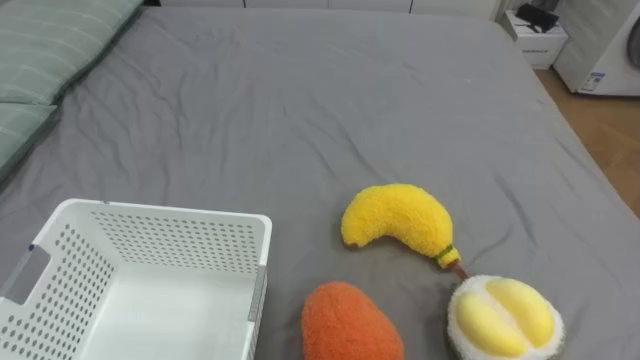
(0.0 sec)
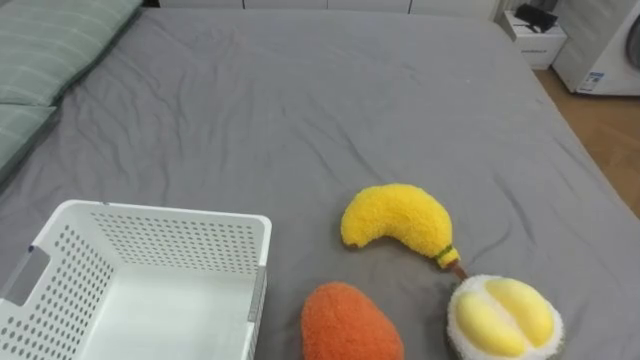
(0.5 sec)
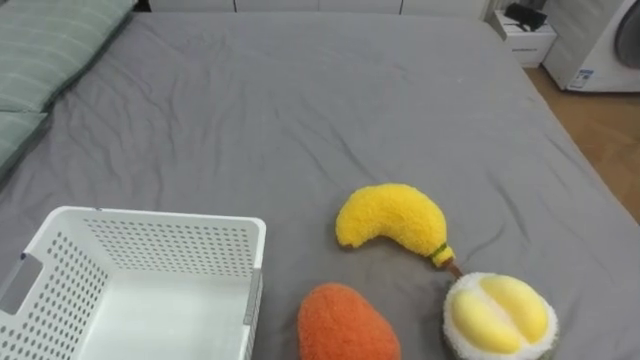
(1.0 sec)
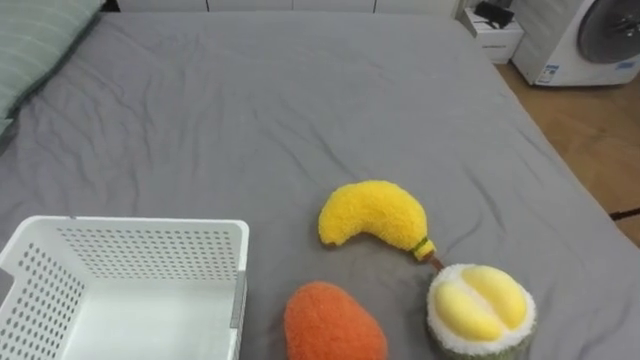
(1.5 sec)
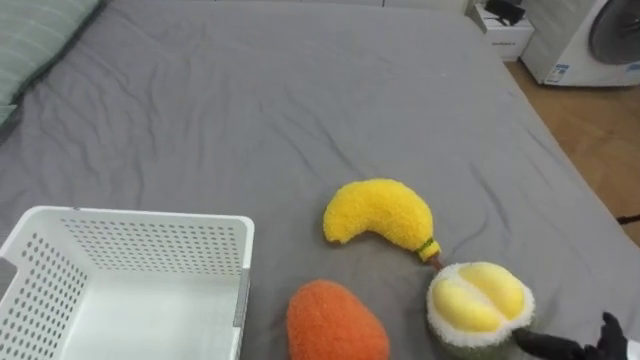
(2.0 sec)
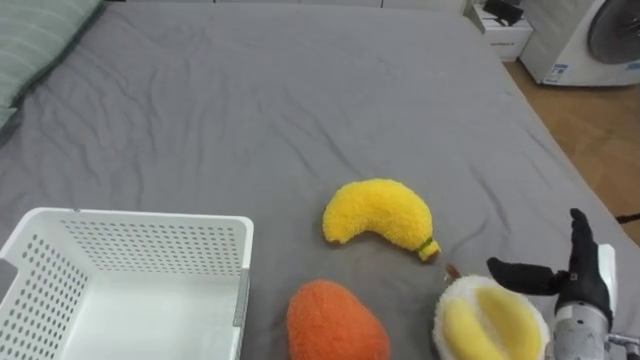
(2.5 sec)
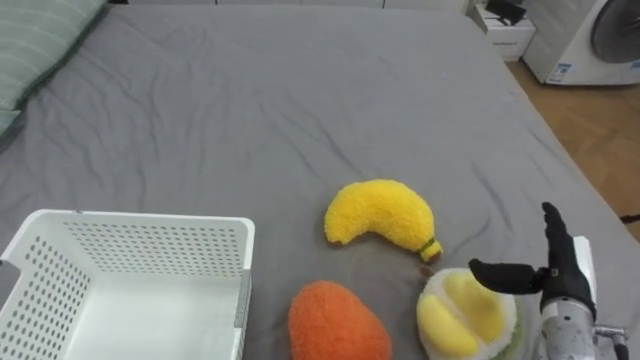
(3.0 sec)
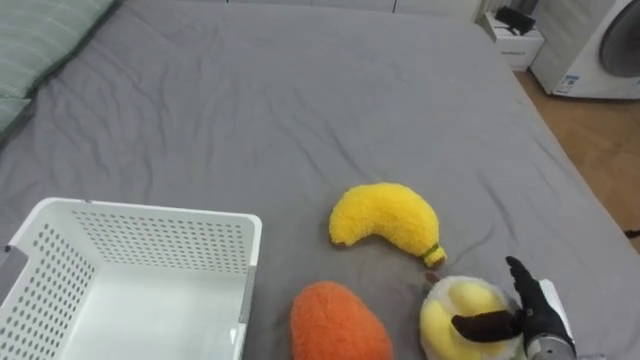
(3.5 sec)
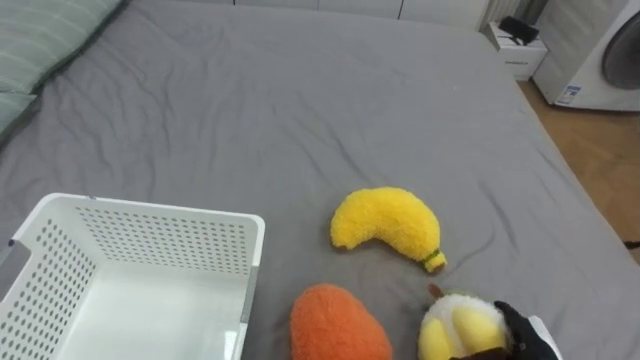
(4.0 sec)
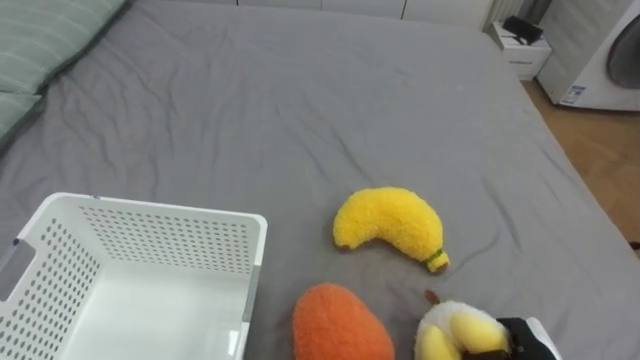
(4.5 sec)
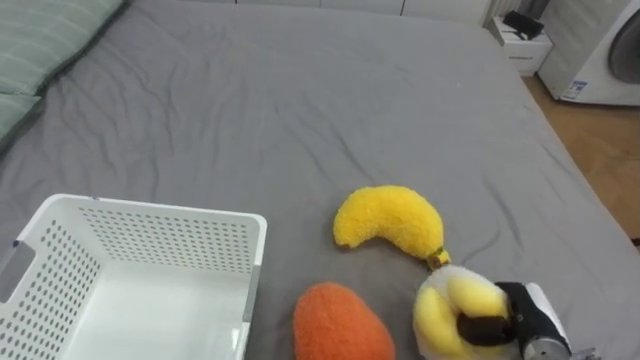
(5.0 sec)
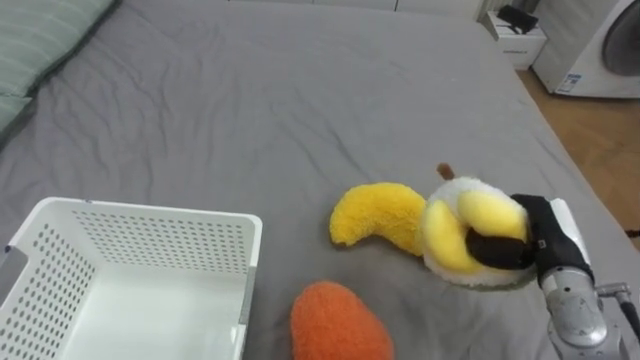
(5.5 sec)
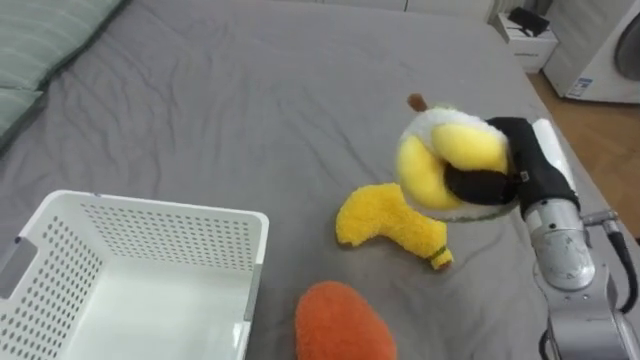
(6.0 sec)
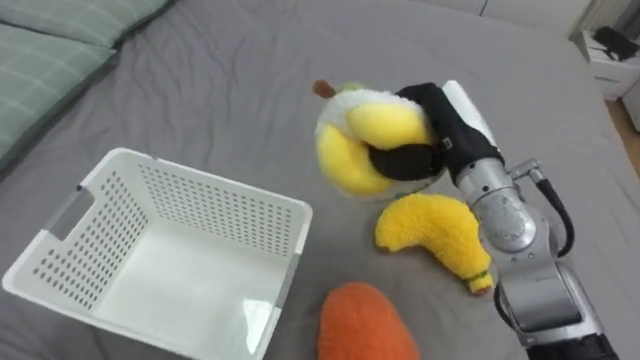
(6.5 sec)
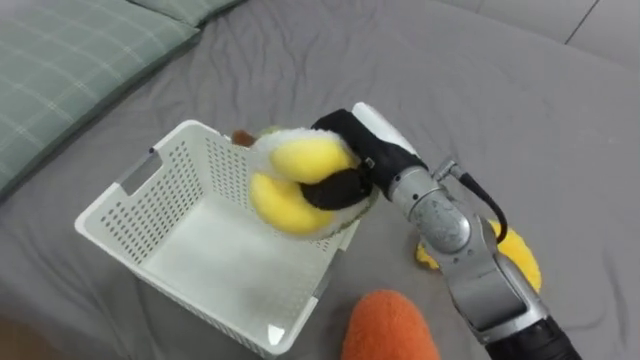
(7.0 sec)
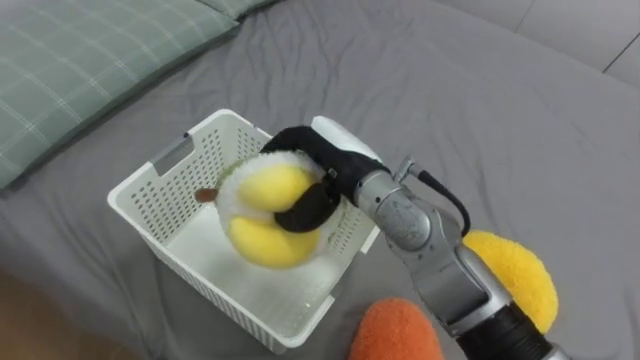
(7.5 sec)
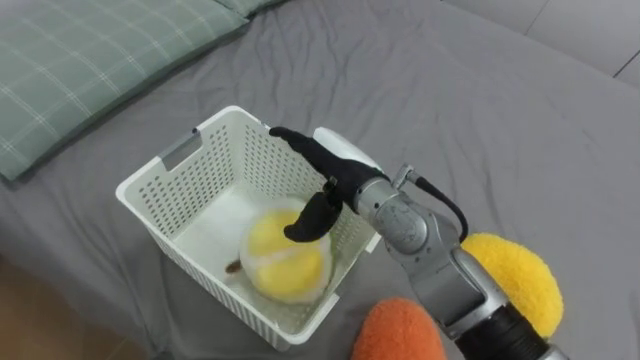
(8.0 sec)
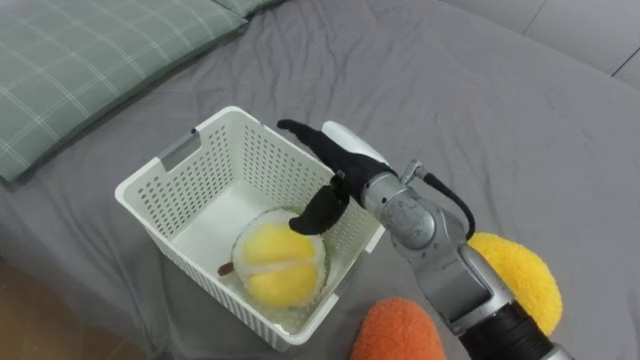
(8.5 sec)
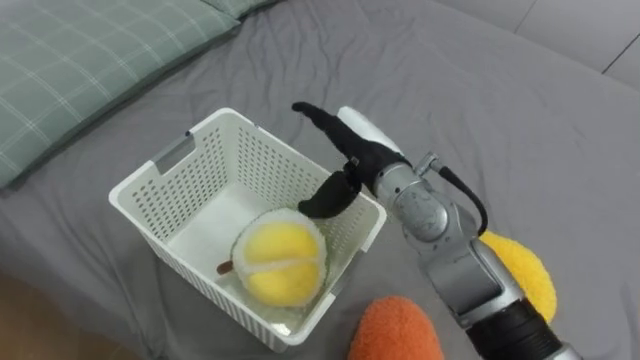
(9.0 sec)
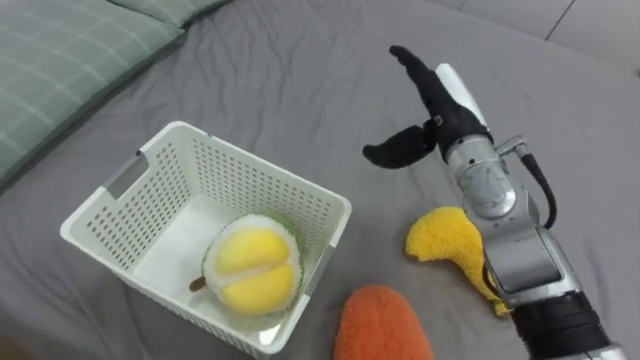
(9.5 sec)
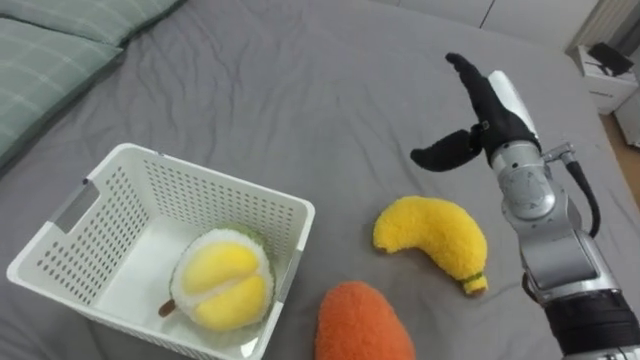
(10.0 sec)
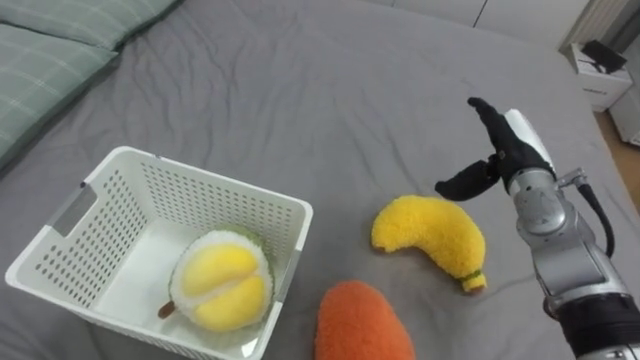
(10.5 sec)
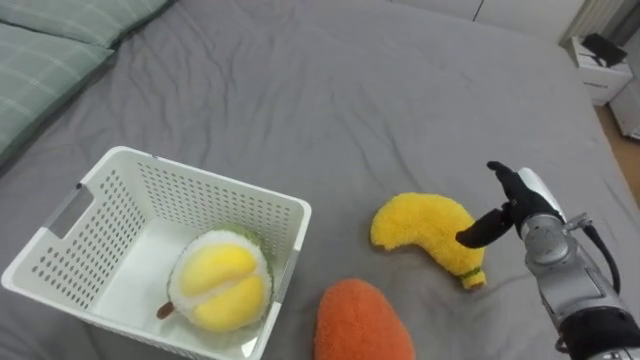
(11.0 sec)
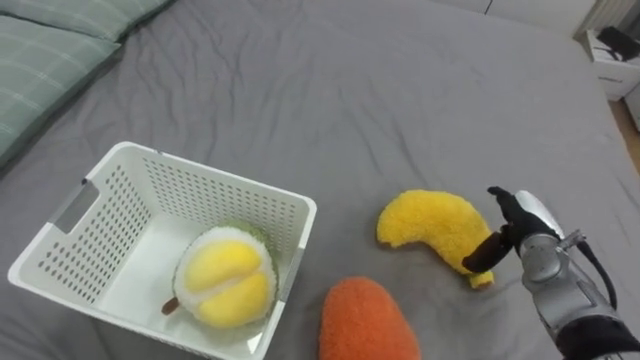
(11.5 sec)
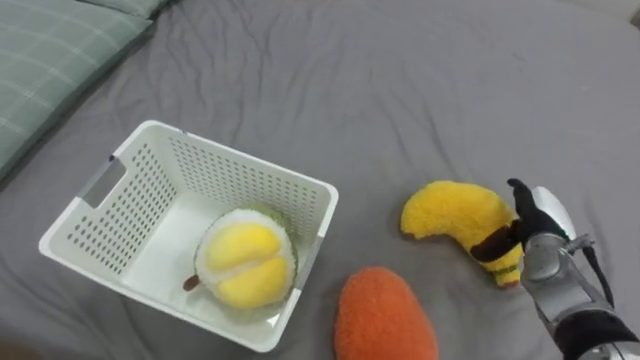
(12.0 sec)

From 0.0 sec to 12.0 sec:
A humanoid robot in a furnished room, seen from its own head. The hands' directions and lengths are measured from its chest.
Task of the whole recording: Put the toys on the bed into the basket on the left.
From 4.0 sec to 6.0 sec: The right hand shifts roughly 25 cm upward and forward, and closes up.
From 6.0 sec to 8.0 sec: The right hand shifts approximately 25 cm to the left, and opens its fingers.
From 8.0 sec to 10.0 sec: The right hand moves to the right, about 20 cm.
From 10.0 sec to 12.0 sec: The right hand moves downward and to the right, roughly 20 cm.

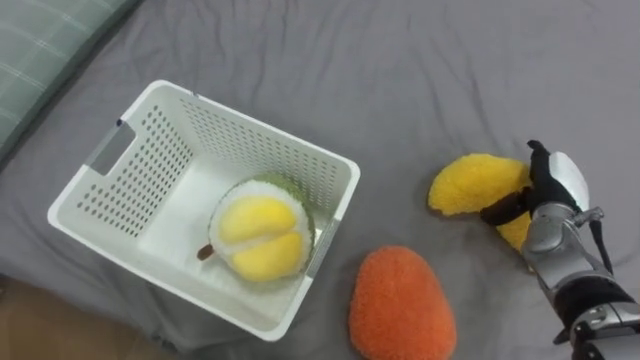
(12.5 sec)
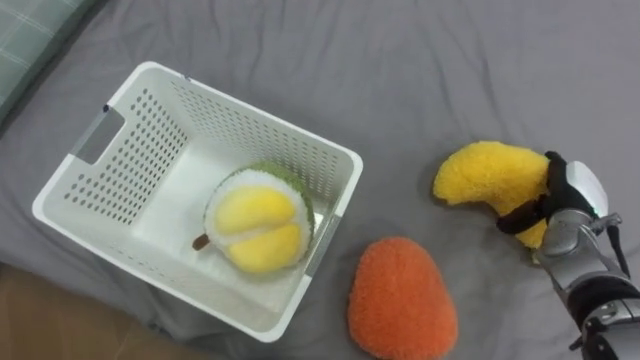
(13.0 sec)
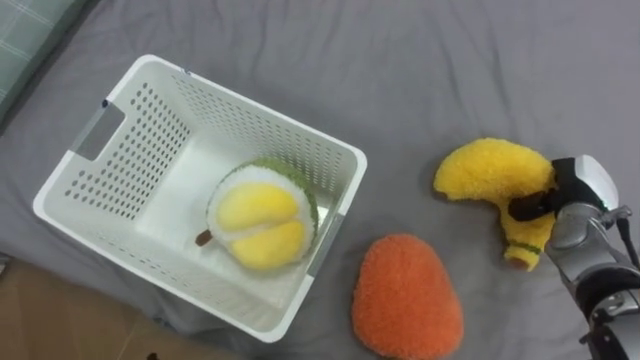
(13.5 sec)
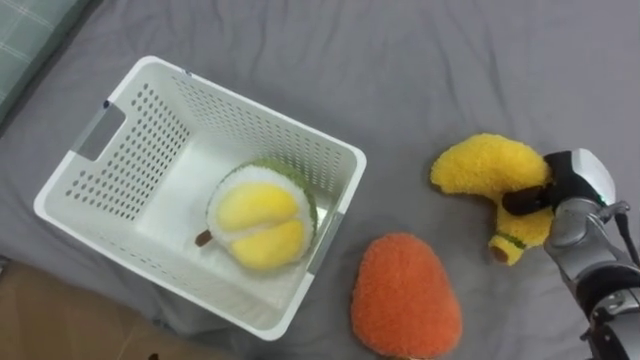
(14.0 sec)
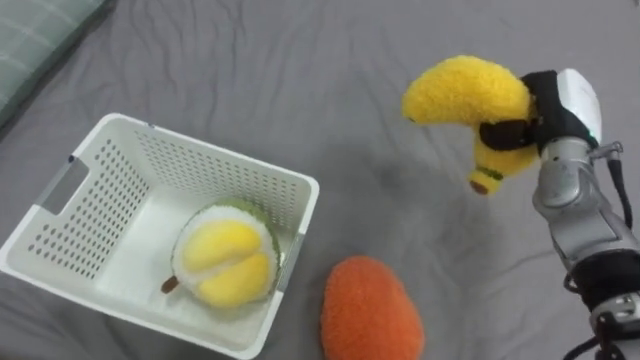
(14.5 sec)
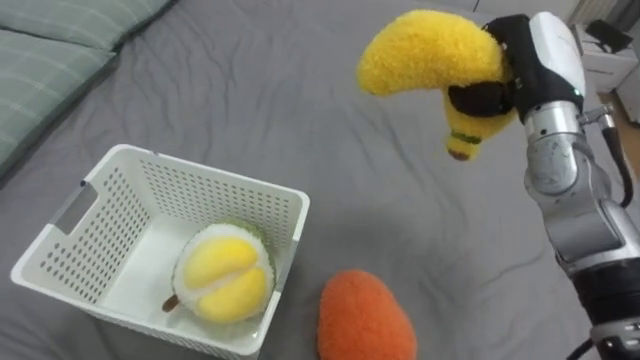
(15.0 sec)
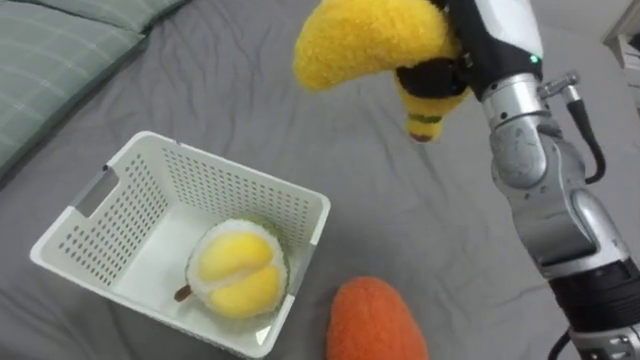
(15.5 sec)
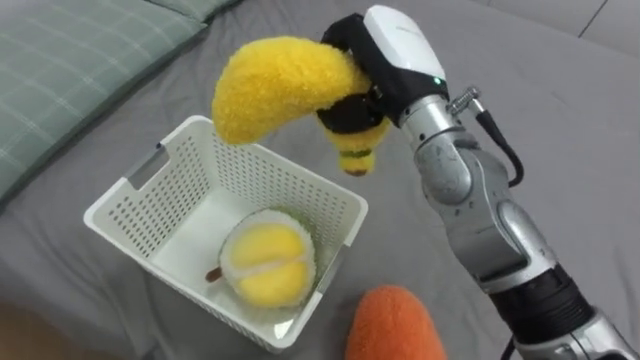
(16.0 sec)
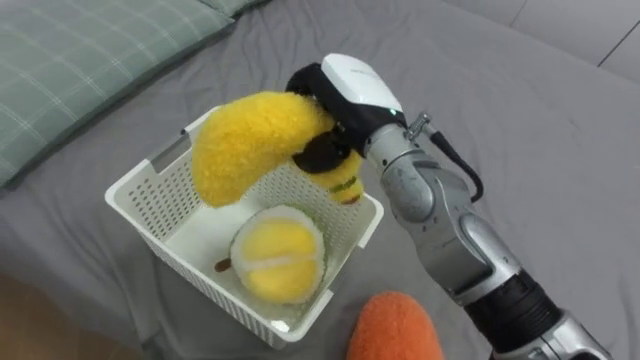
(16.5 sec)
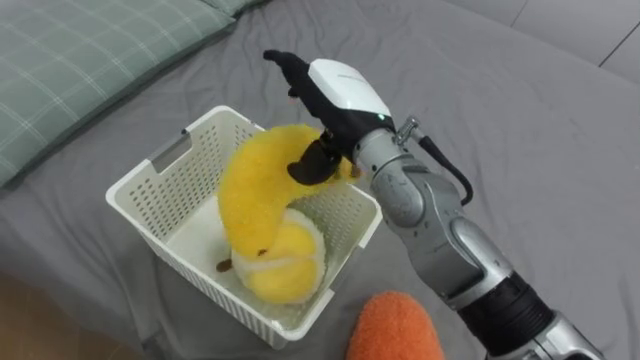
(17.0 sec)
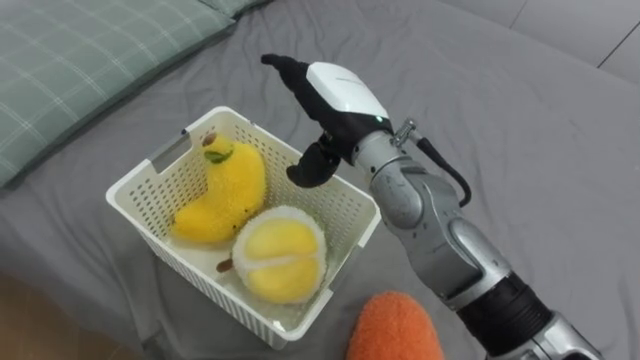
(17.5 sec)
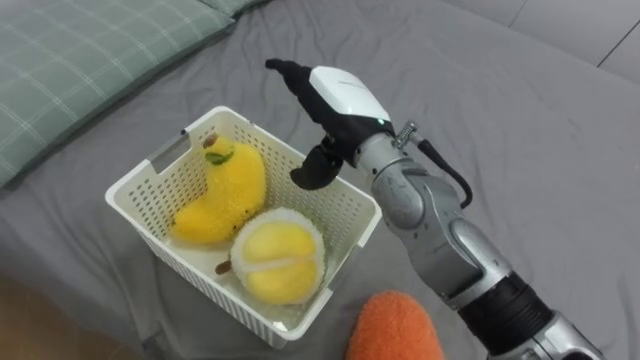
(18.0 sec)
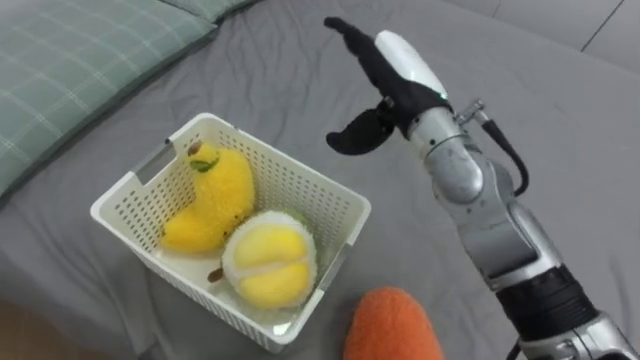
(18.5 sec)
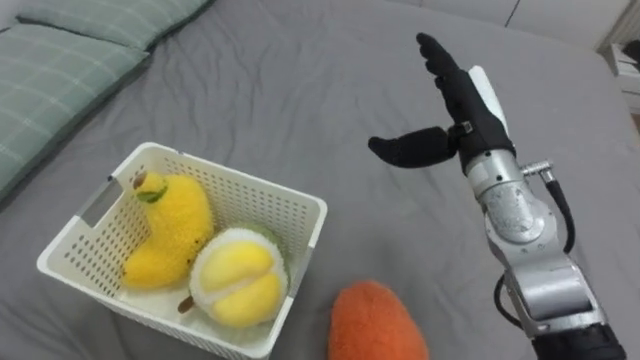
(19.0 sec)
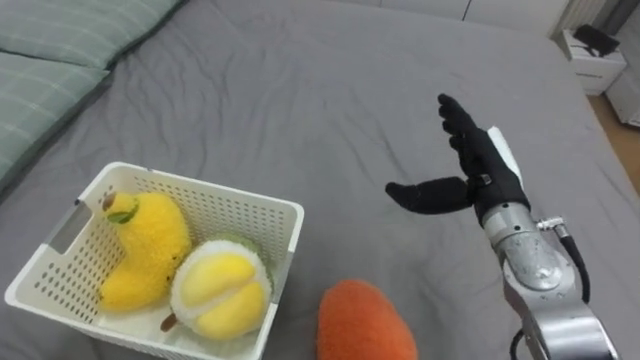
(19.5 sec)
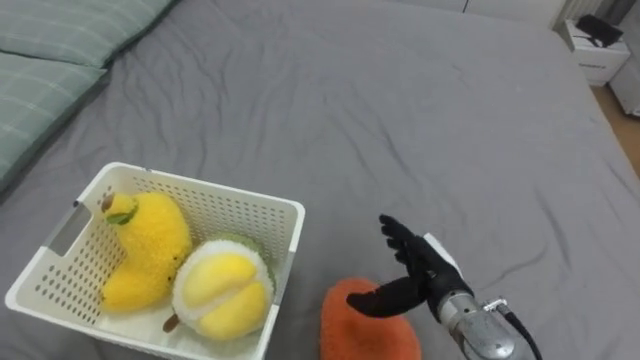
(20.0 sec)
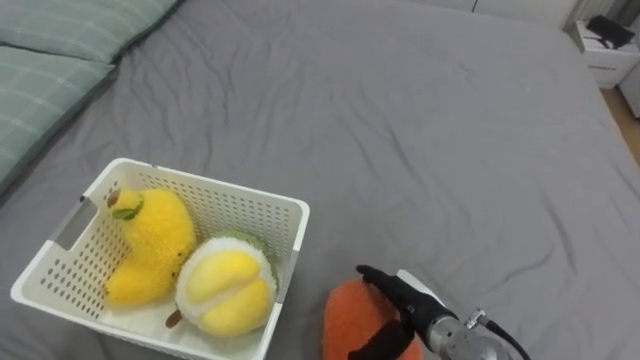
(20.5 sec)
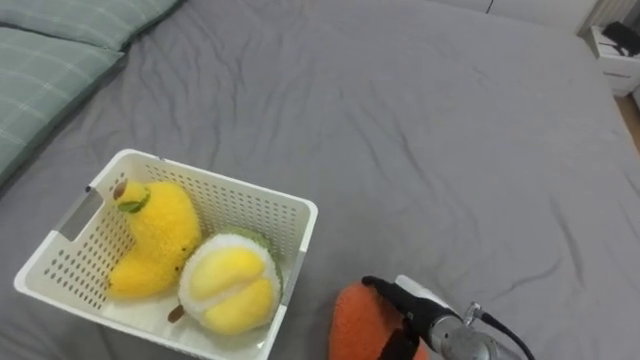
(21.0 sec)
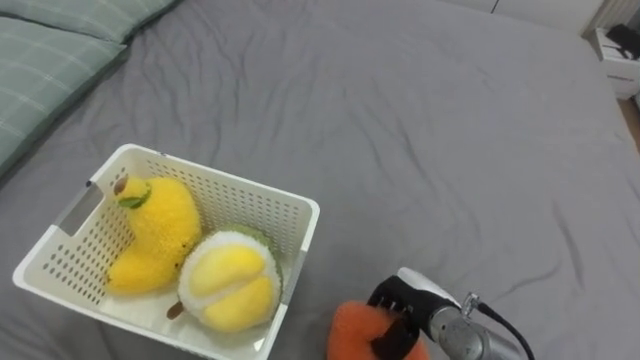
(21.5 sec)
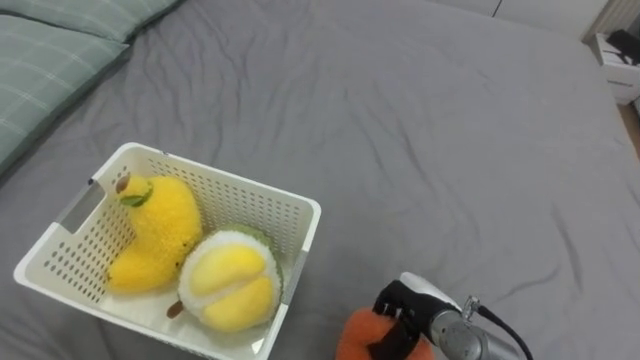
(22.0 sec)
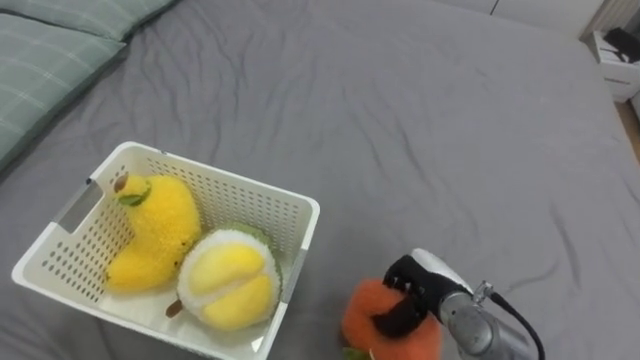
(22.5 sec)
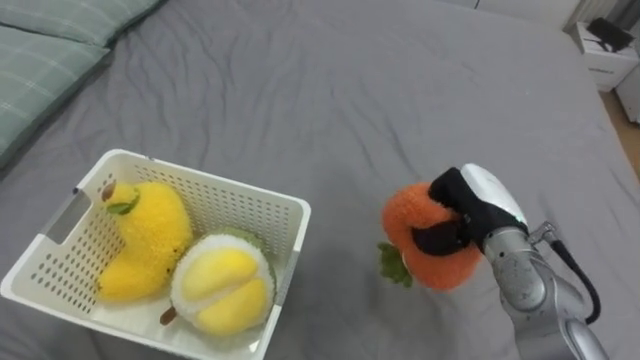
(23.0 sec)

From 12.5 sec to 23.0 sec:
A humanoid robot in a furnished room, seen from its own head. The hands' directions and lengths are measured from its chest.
Task of the whole recording: Put the toys on the bed into the basket on the left.
From 12.5 sec to 14.5 sec: The right hand is displaced upward by approximately 10 cm, and closes its fingers.
From 14.5 sec to 16.5 sec: The right hand shifts some 25 cm to the left.
From 16.5 sec to 19.0 sec: The right hand goes some 15 cm to the right, and opens.
From 19.0 sec to 21.0 sec: The right hand is displaced downward and backward by some 25 cm.
From 21.0 sec to 23.0 sec: The right hand shifts some 15 cm upward, forward and to the right, and closes its fingers.
